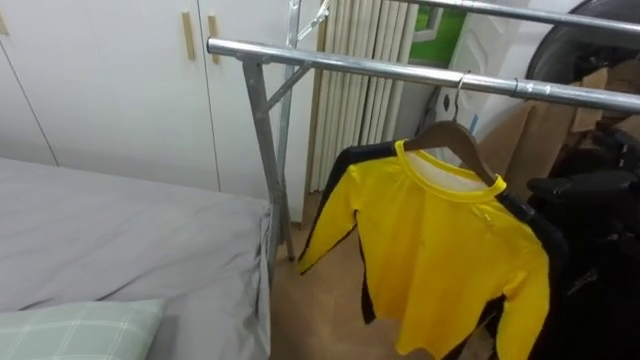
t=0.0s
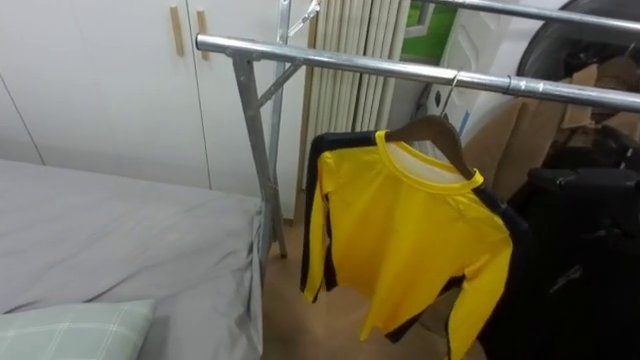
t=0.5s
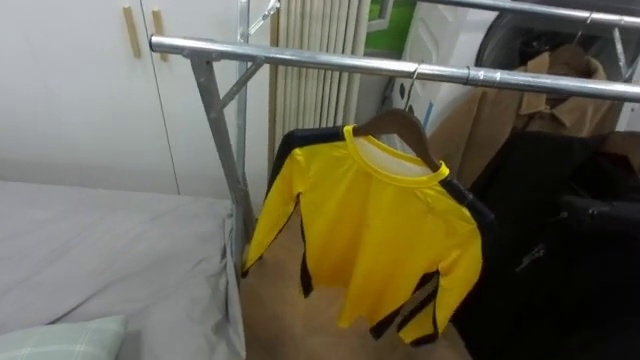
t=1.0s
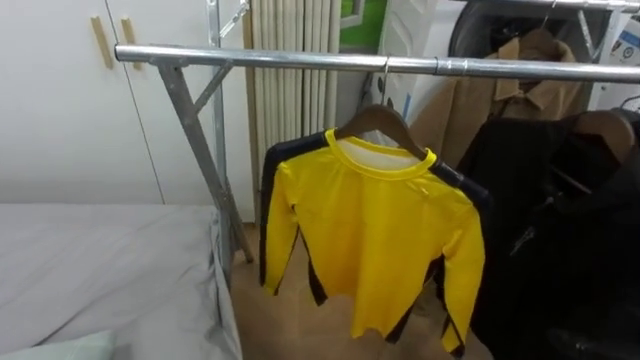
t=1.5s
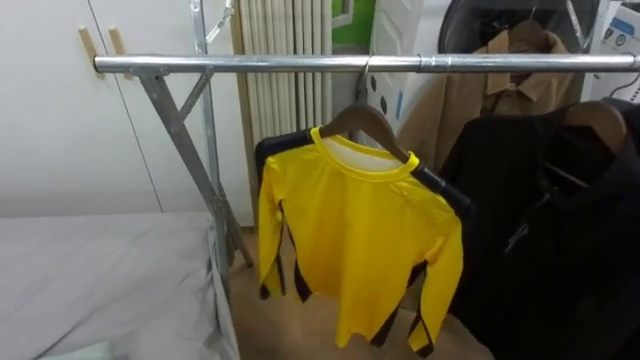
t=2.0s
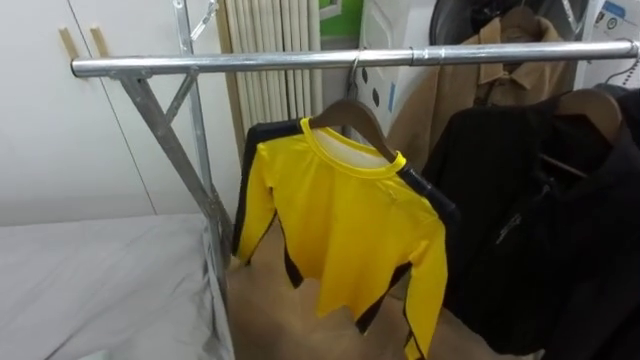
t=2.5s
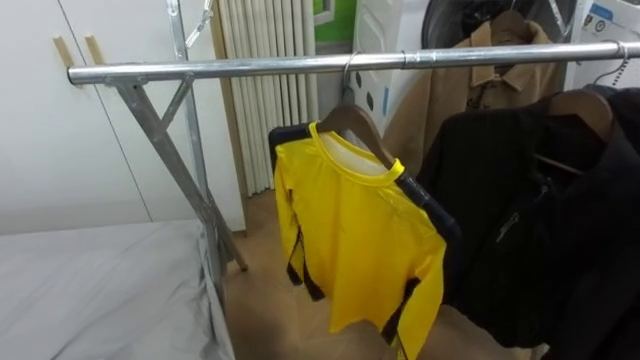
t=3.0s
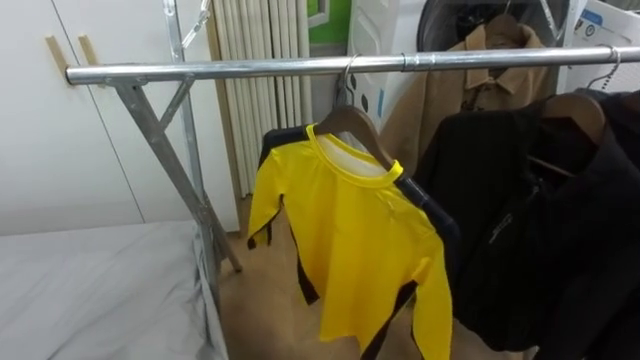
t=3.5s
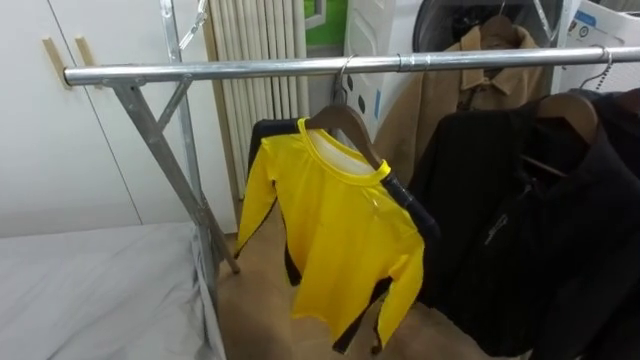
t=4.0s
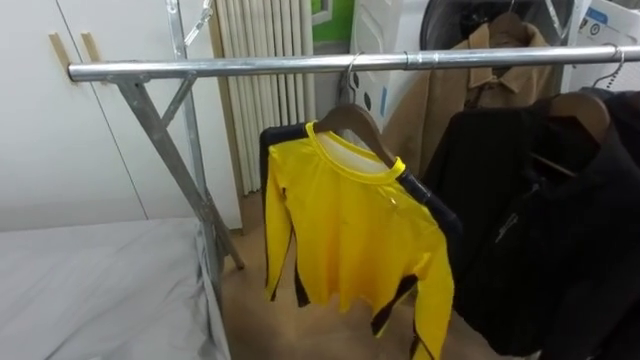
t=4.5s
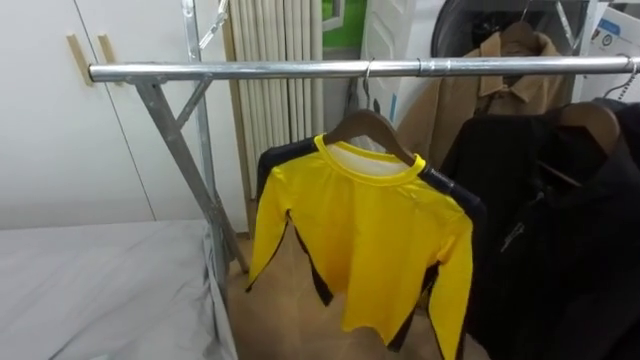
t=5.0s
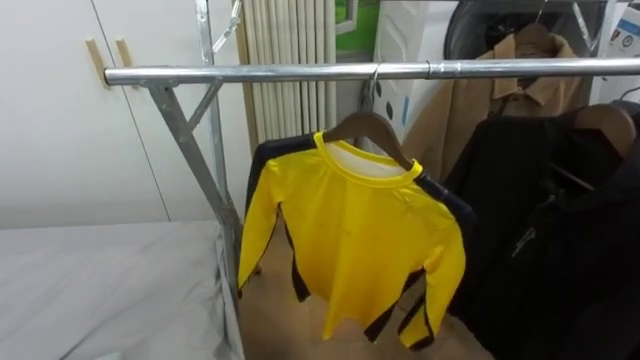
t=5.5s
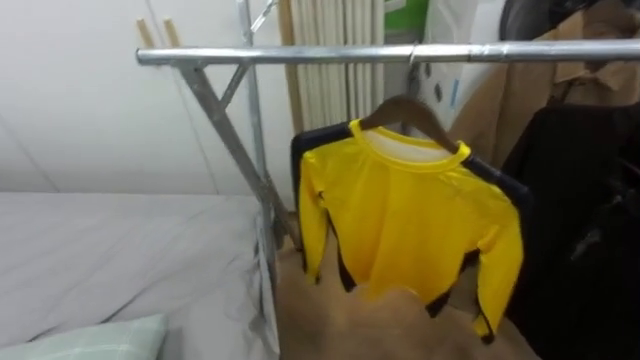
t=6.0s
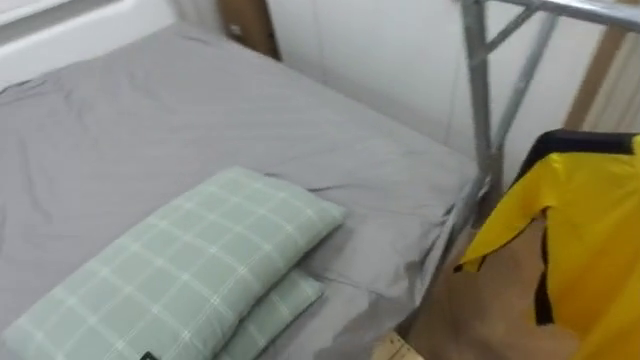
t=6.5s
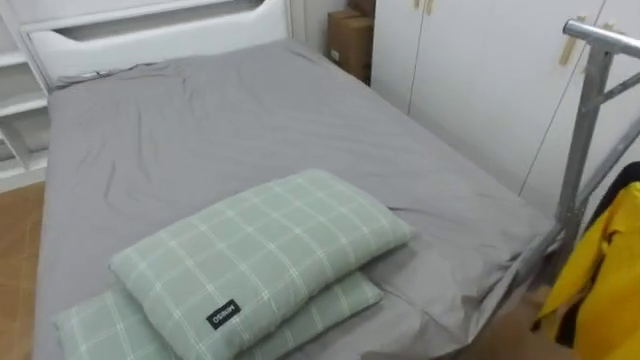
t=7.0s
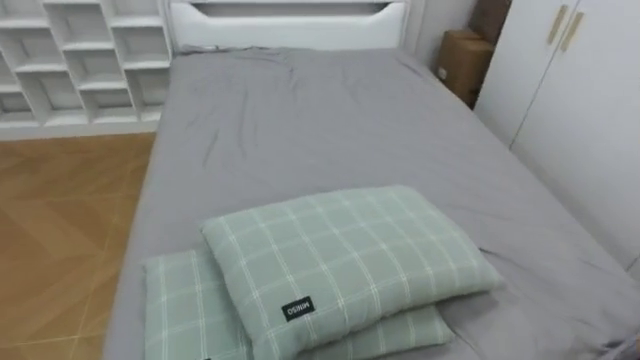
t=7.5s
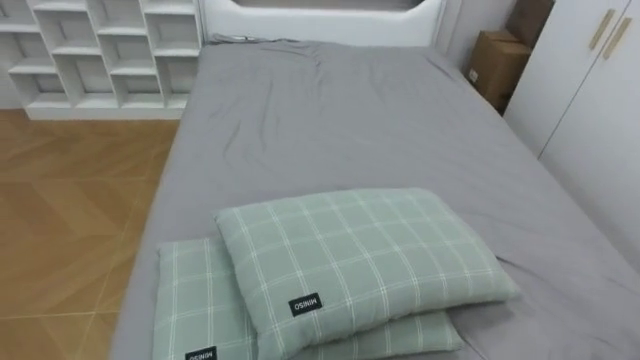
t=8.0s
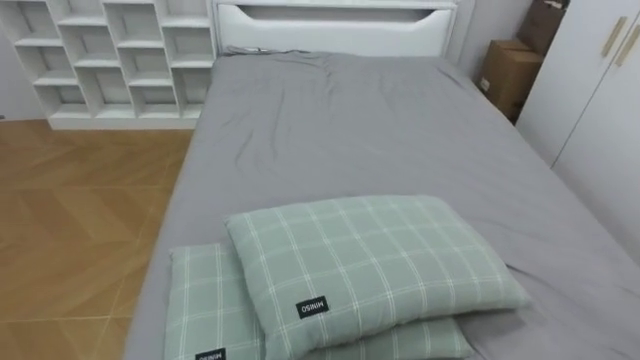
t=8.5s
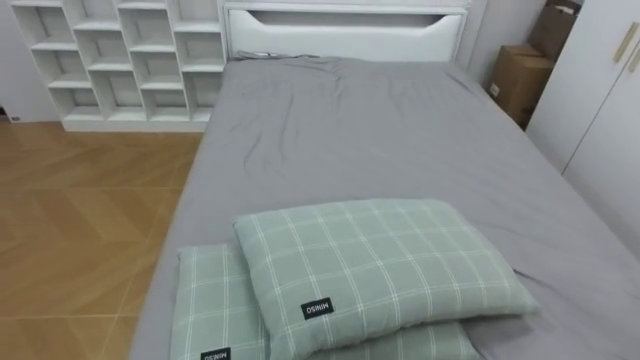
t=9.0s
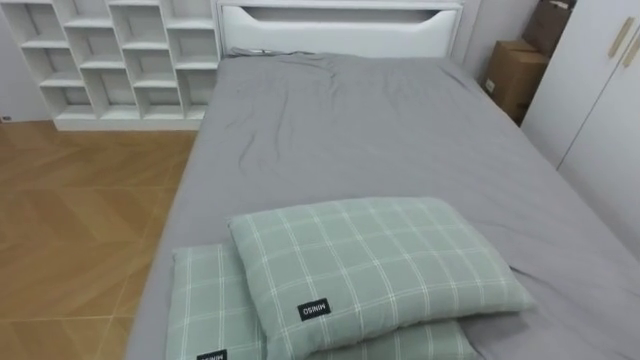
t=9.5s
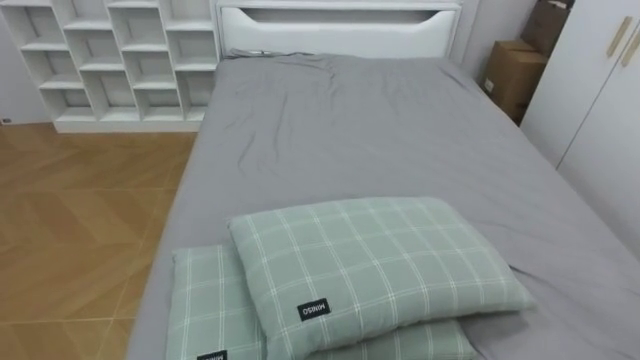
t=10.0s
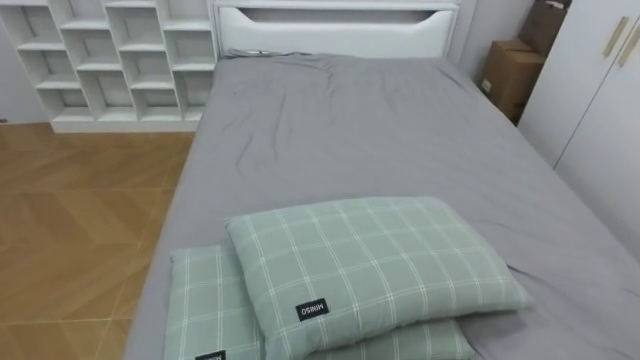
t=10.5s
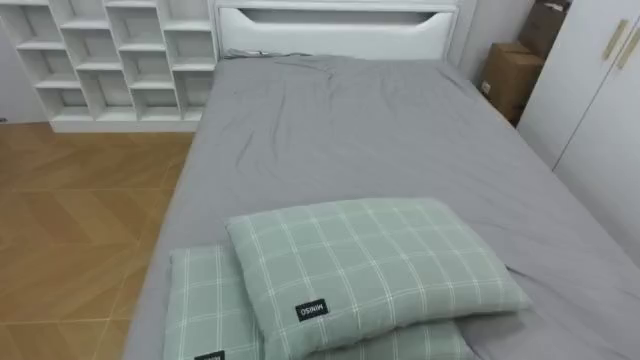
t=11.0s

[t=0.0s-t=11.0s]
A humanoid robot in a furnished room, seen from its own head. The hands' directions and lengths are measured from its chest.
Task of the whole recording: Pick up the yellow shirt on the bed and hang it on the clothes rack on the right.
t=5.5s to t=7.5s: The robot's body swings roughly 85 degrees to its left.

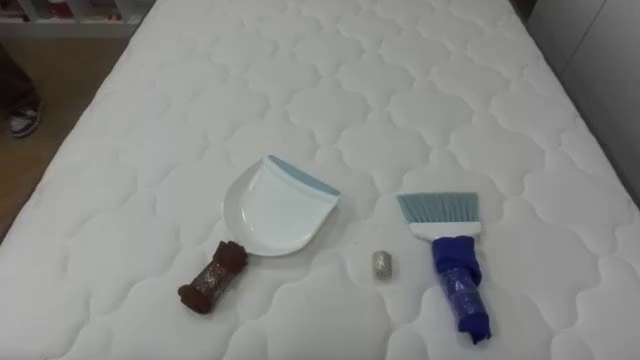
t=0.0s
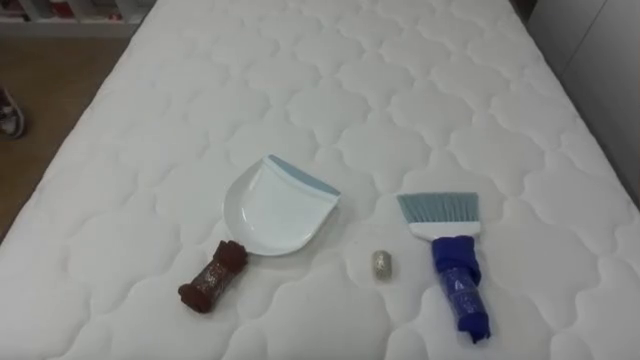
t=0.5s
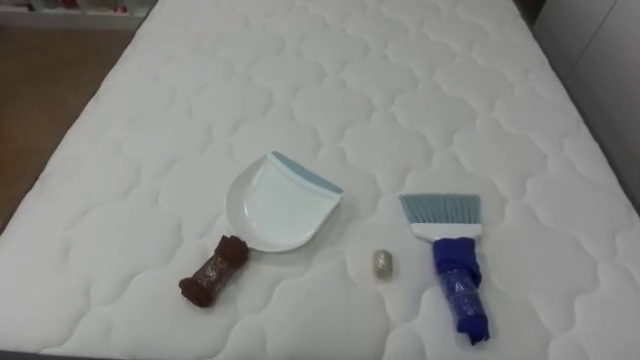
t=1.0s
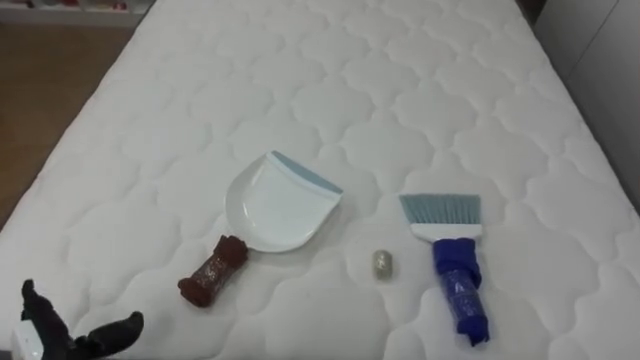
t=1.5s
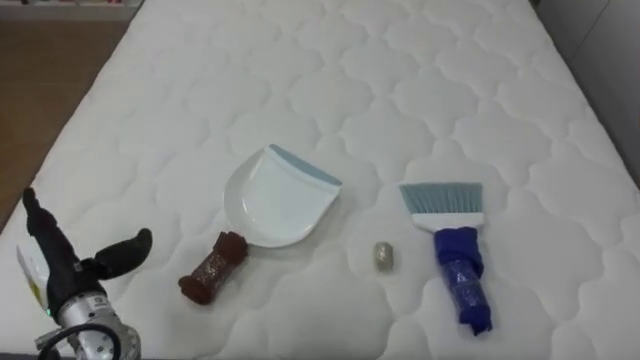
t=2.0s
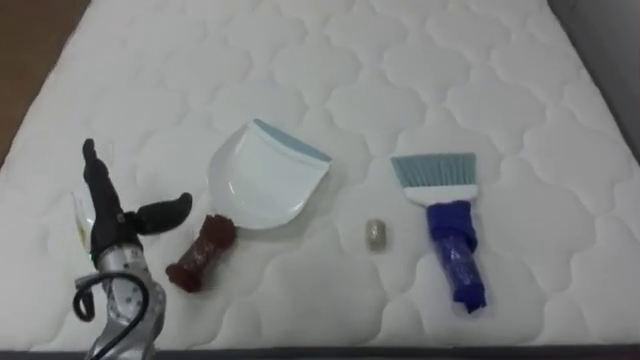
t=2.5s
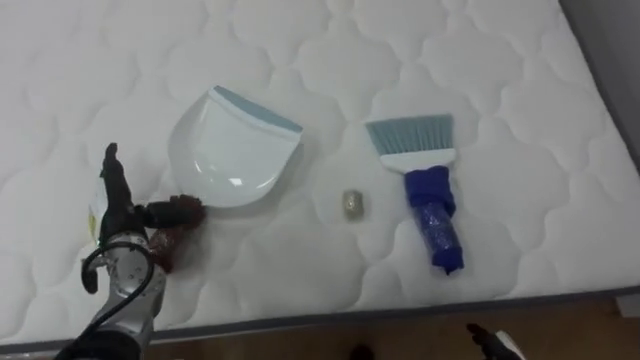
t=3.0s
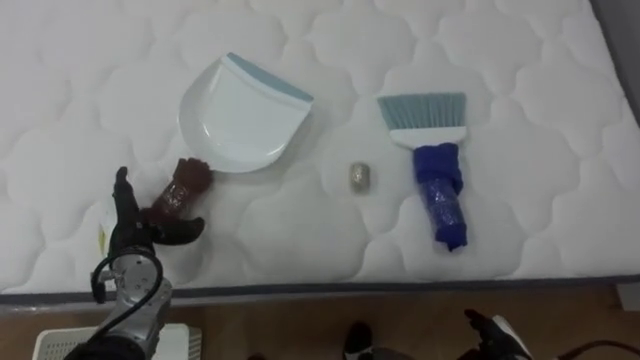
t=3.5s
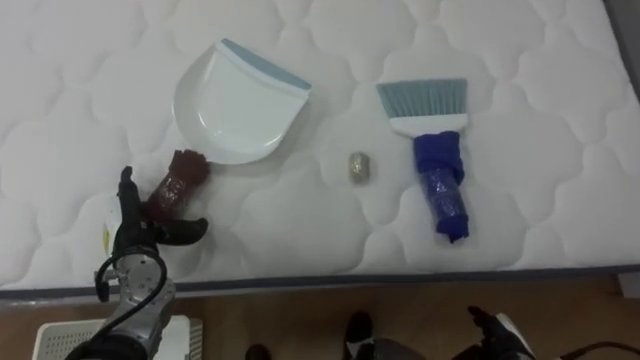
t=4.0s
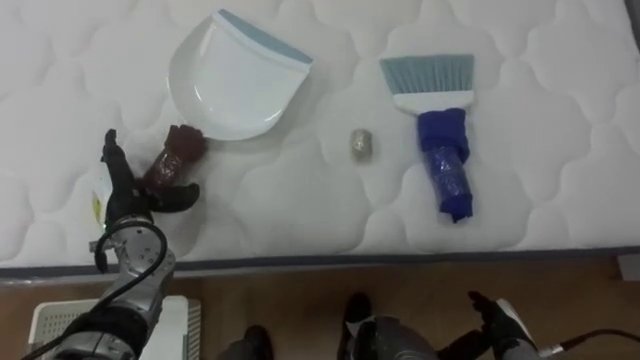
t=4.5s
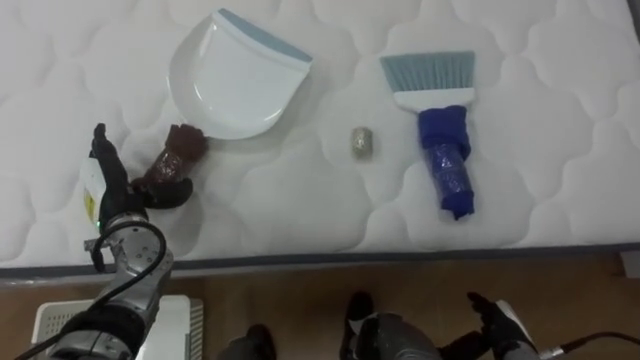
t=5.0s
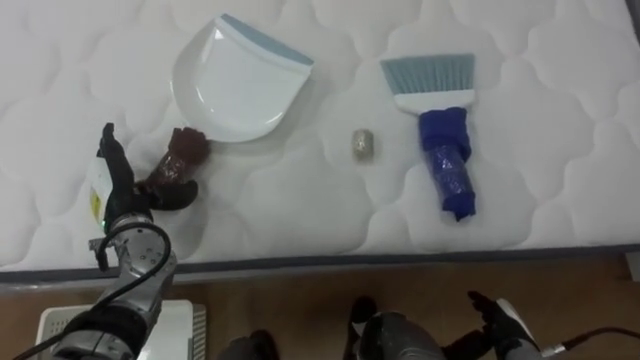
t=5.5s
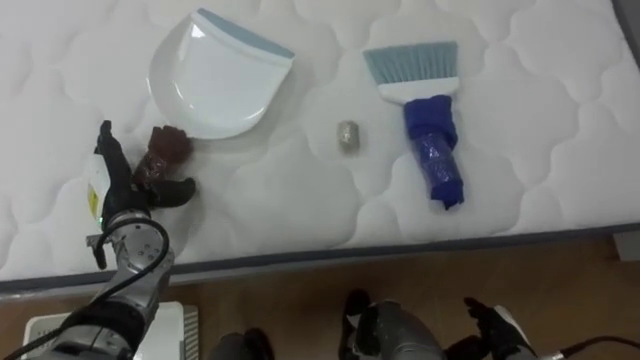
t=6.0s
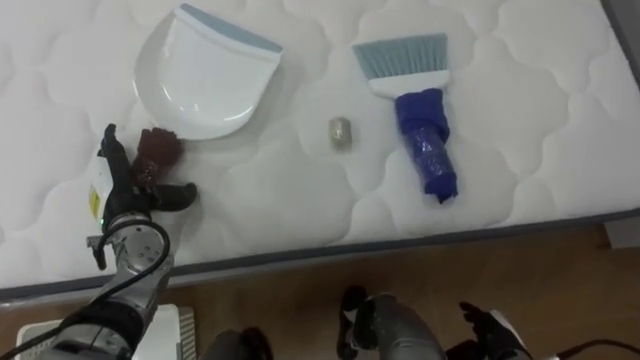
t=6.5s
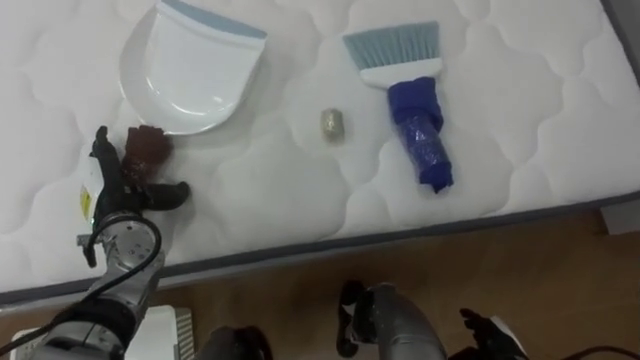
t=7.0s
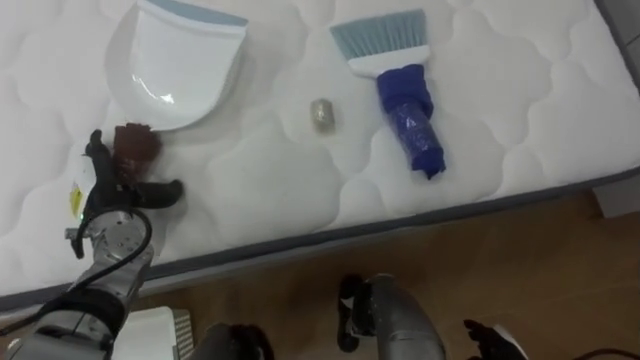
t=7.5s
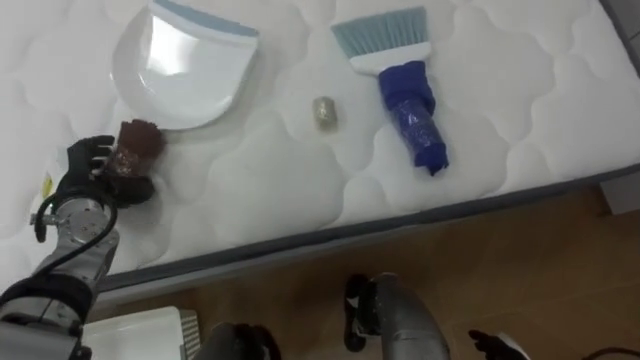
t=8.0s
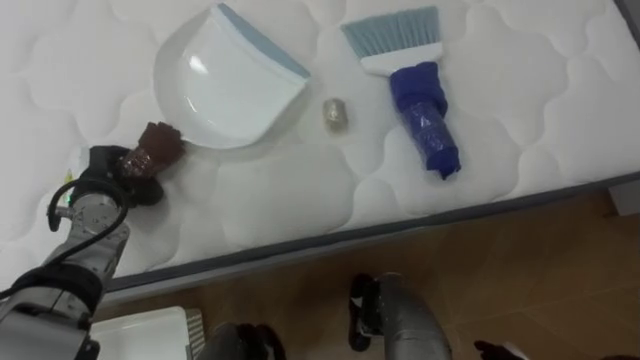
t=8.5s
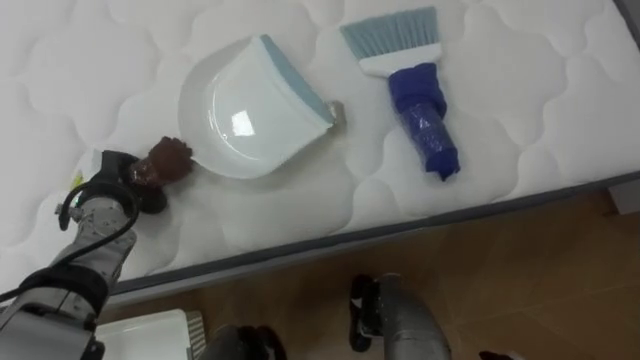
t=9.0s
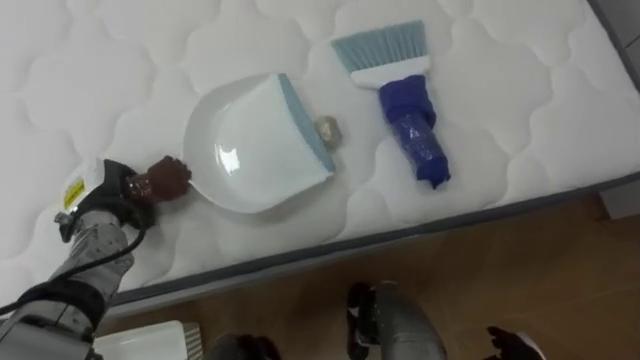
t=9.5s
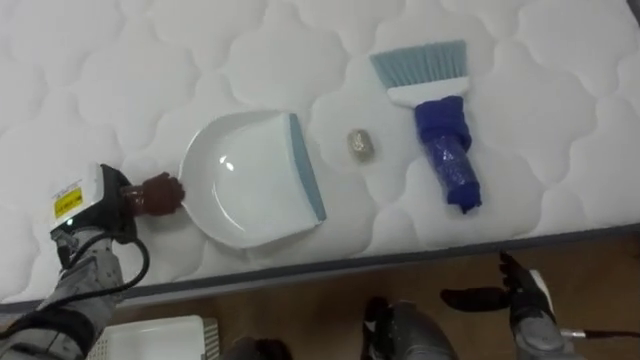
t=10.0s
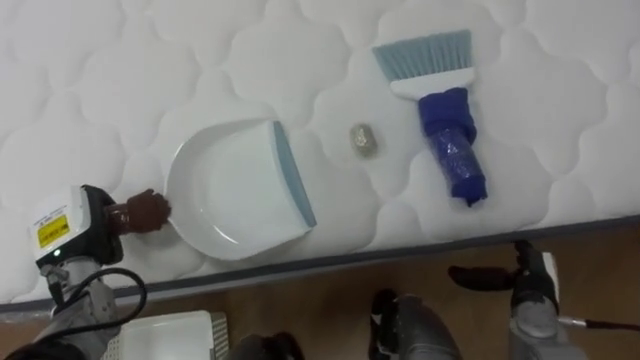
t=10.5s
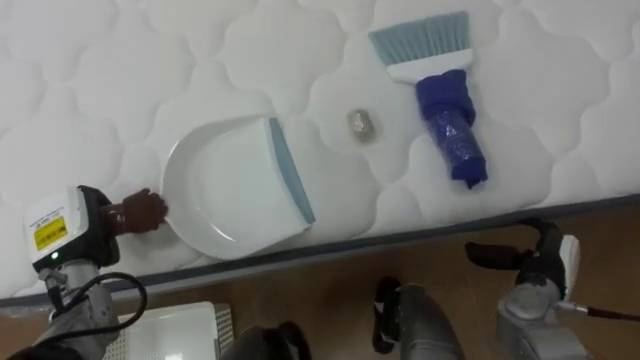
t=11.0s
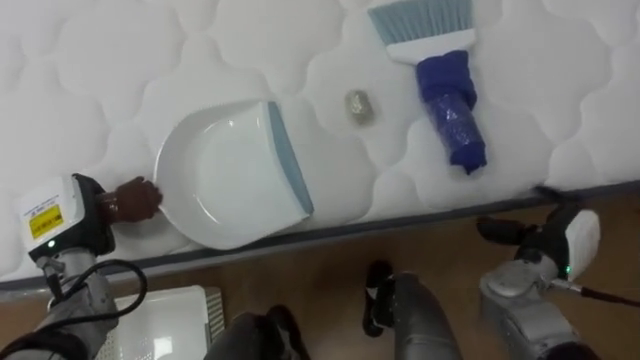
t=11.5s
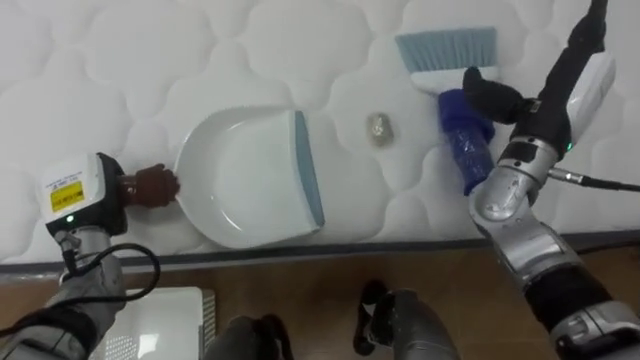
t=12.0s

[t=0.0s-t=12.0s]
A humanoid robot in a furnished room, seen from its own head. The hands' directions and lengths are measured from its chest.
Task of the whole recording: Pick up the brush on your right and the dustpan on your left. Use the brush to sweep the crumpled paper on the bed into the dustpan, then turn left and empty it into the basket.
t=2.0s to t=4.0s: The left hand shifts roughly 10 cm forward and to the right.
t=4.0s to t=6.0s: The left hand shifts by approximately 5 cm.
t=8.0s to t=10.0s: The left hand closes up.
t=10.0s to t=12.0s: The right hand goes roughly 30 cm upward and forward.
